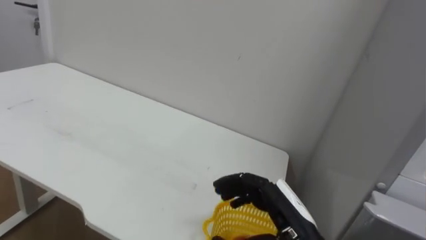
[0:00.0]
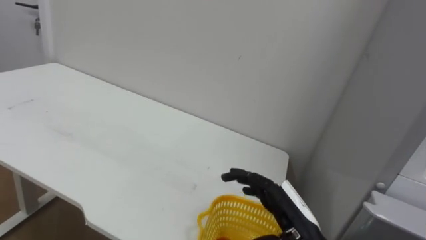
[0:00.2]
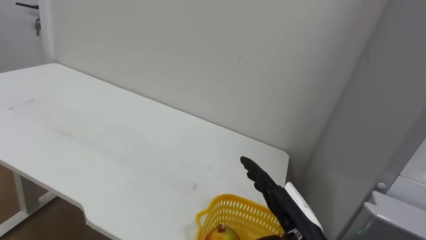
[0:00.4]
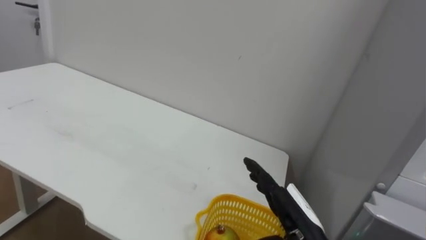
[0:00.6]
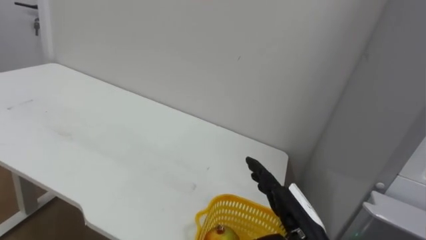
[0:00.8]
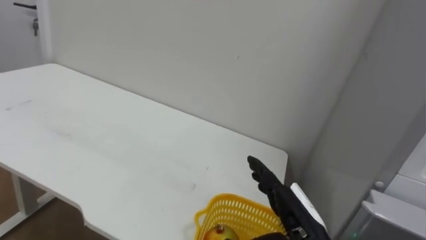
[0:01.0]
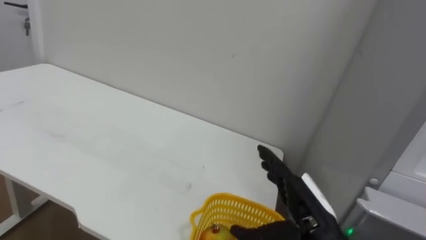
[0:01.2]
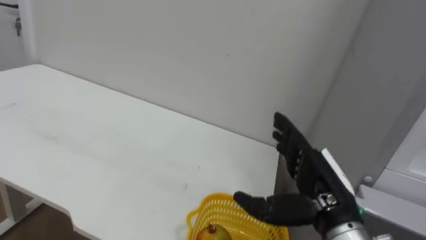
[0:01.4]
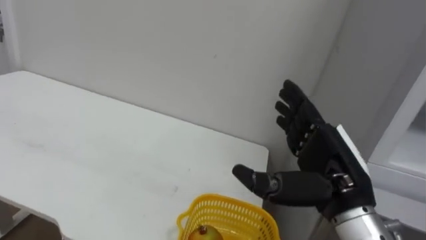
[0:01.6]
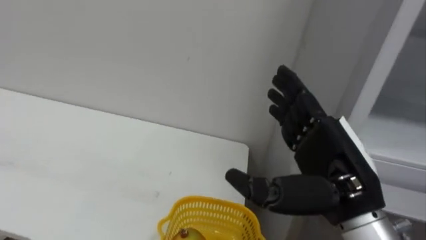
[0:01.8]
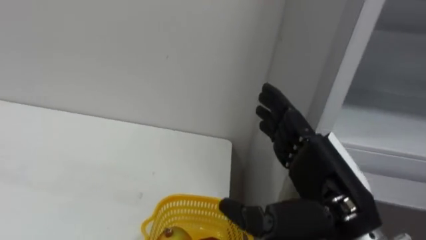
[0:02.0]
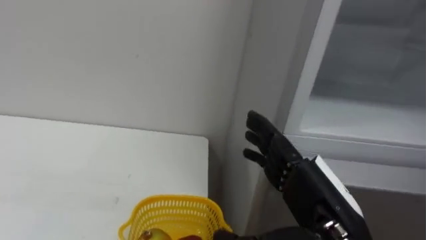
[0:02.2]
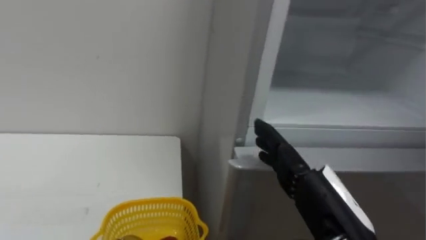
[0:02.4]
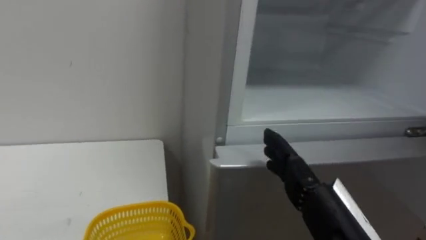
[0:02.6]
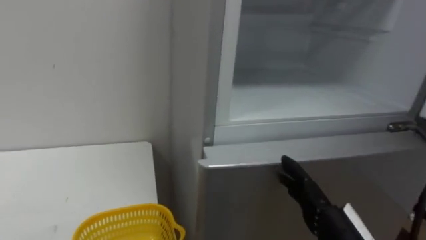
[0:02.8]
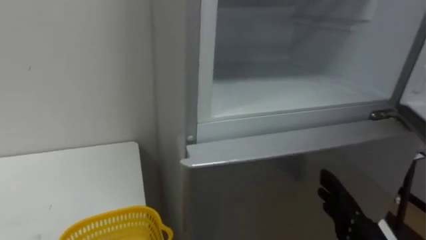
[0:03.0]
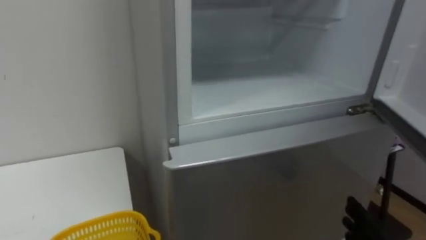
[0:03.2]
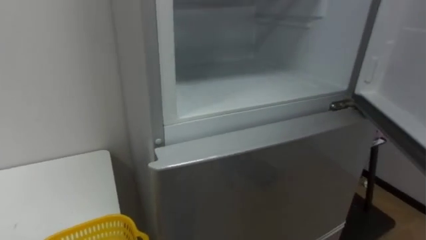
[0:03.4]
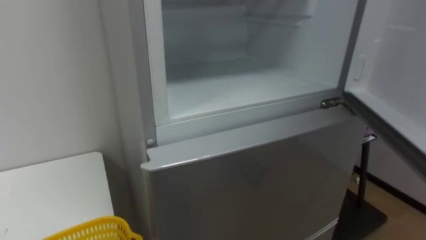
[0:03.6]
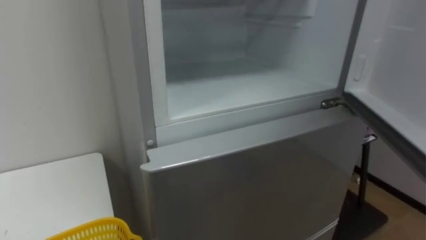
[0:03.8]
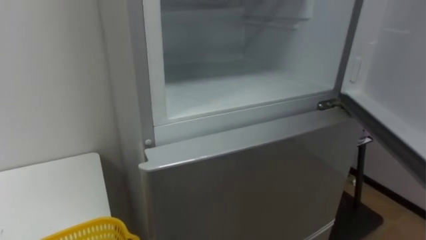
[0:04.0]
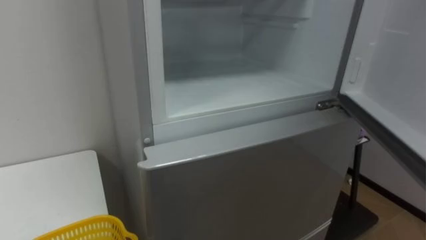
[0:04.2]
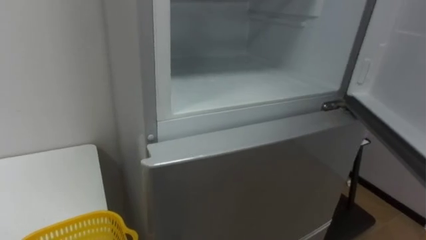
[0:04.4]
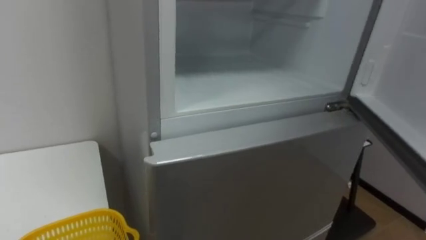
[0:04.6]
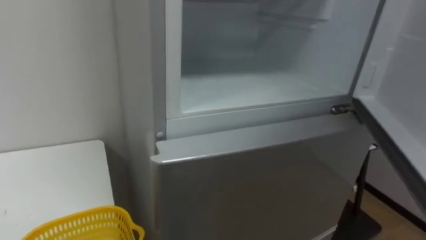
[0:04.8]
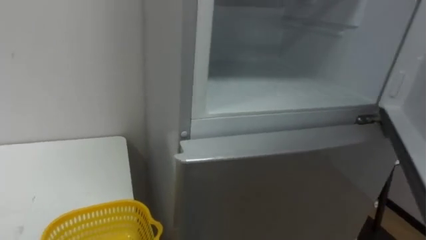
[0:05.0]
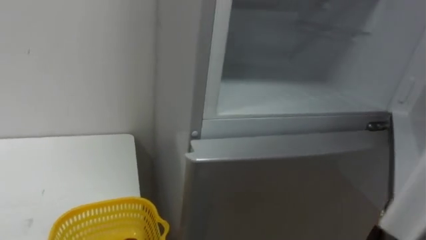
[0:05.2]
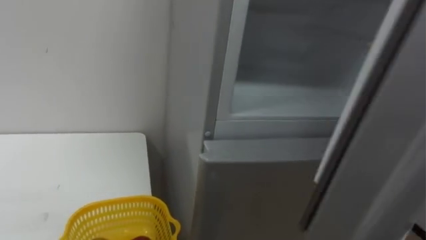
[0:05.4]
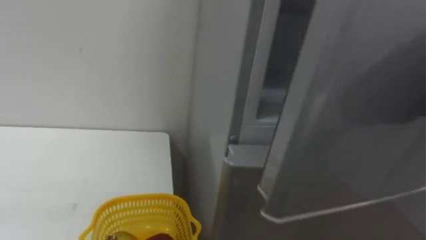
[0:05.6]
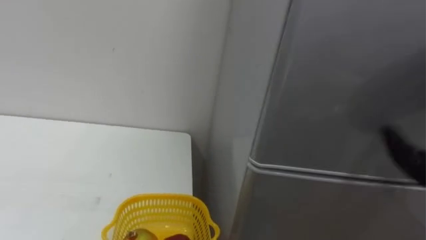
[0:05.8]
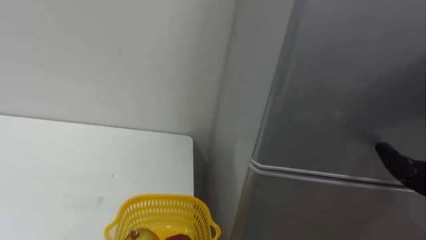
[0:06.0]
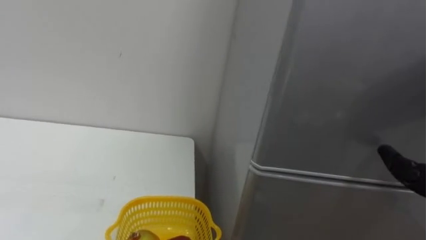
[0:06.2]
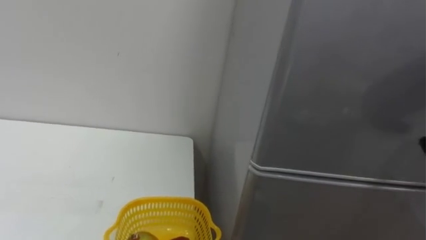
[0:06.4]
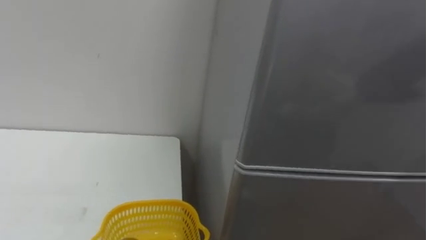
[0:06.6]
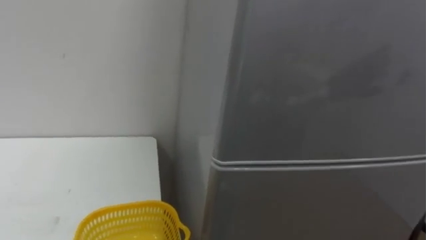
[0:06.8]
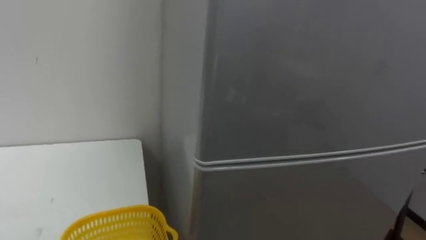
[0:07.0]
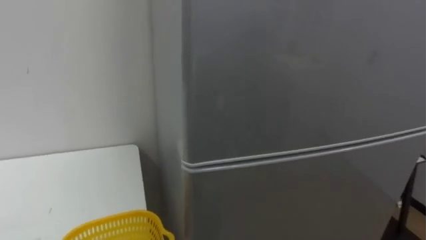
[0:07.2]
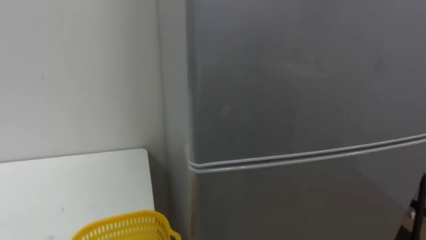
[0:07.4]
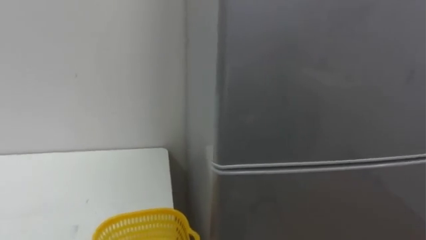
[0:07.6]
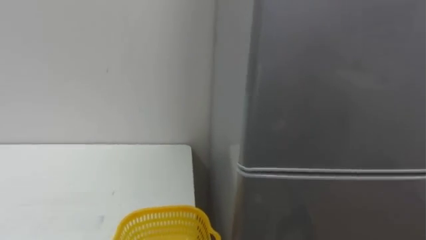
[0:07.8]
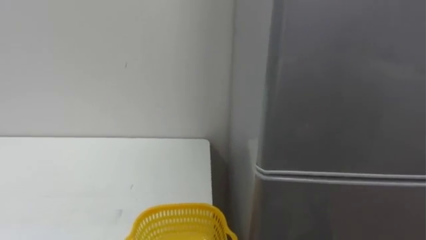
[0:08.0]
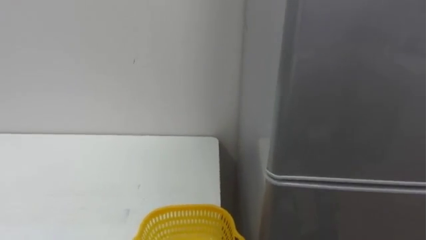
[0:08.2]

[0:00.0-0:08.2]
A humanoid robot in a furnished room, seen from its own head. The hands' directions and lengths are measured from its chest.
Task of the whole recording: Open the refrigerator door, take out the apple and the pomegranate, place them in the fruit basket on the left, and close the refrigerator door.
0:00.0 to 0:01.6: The right hand moves upward, roughly 10 cm, and opens.

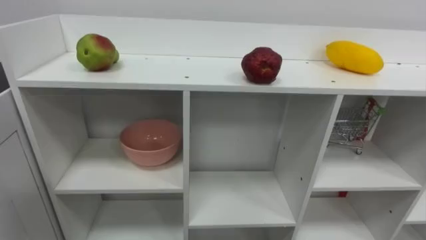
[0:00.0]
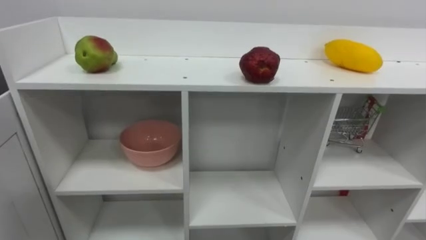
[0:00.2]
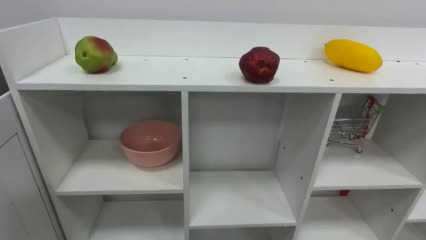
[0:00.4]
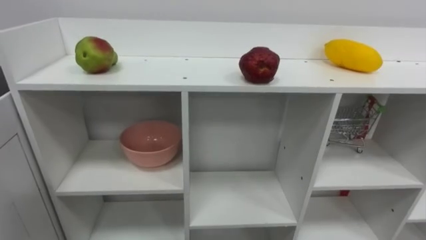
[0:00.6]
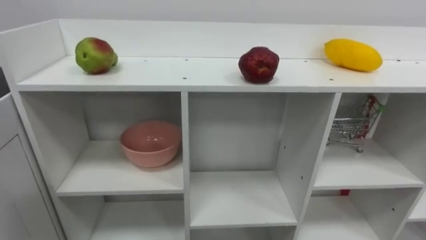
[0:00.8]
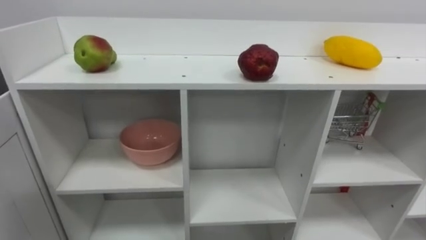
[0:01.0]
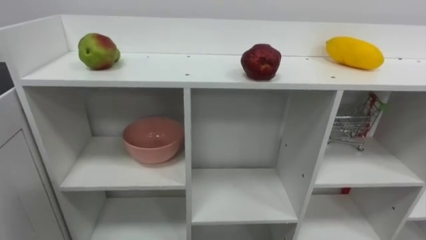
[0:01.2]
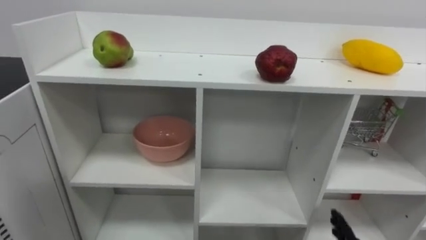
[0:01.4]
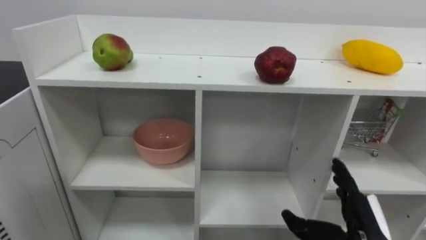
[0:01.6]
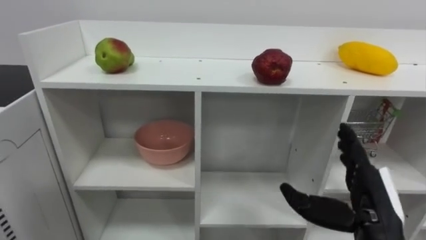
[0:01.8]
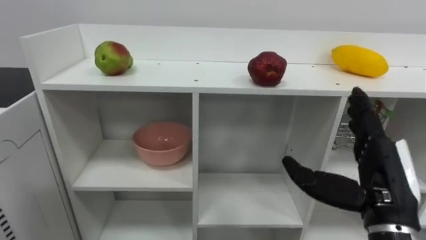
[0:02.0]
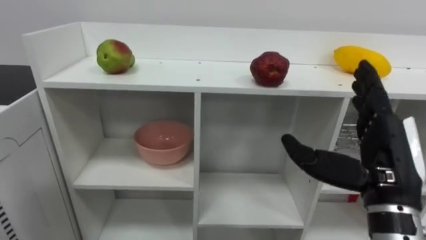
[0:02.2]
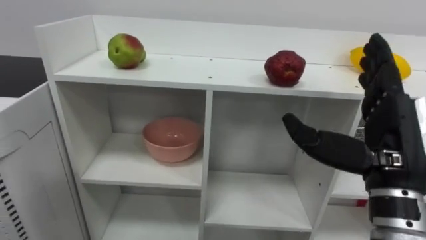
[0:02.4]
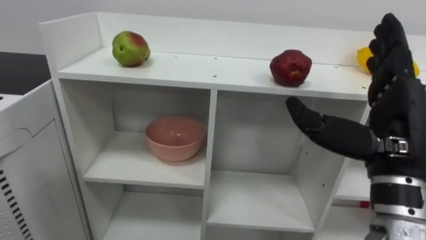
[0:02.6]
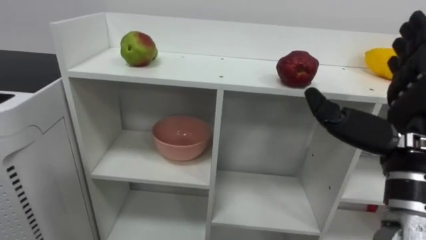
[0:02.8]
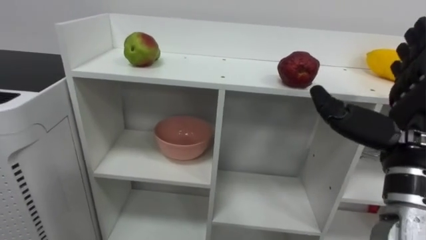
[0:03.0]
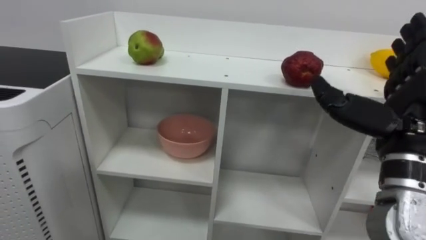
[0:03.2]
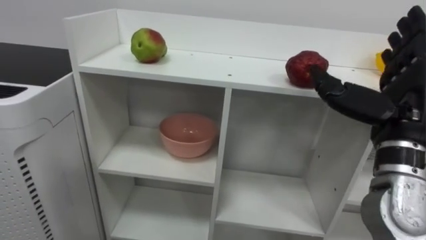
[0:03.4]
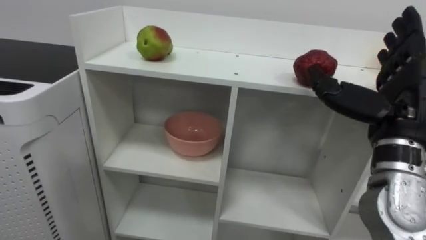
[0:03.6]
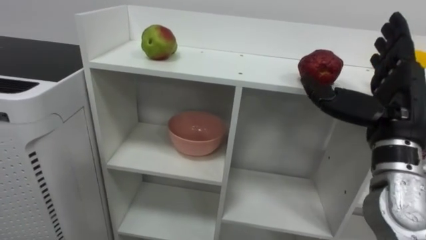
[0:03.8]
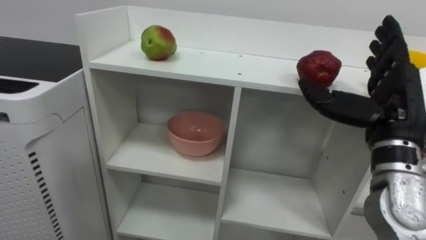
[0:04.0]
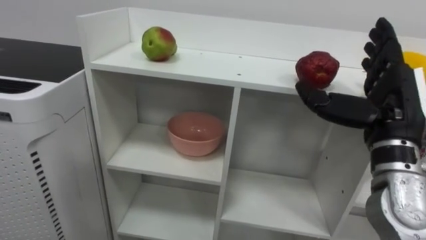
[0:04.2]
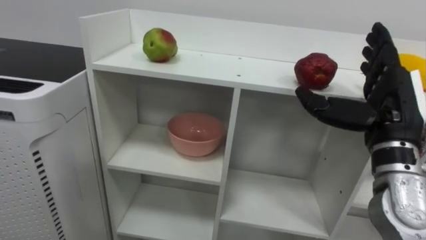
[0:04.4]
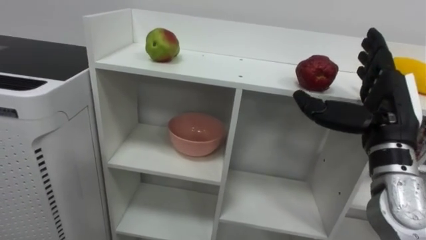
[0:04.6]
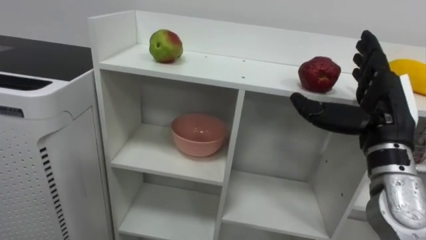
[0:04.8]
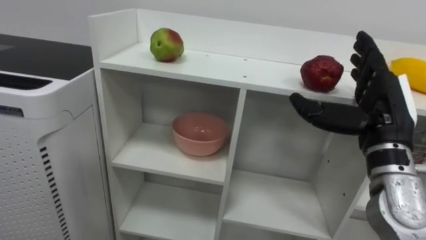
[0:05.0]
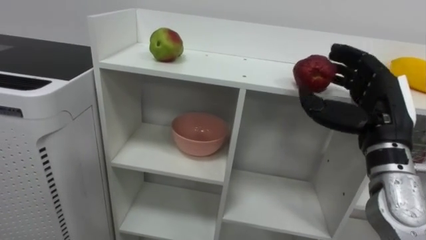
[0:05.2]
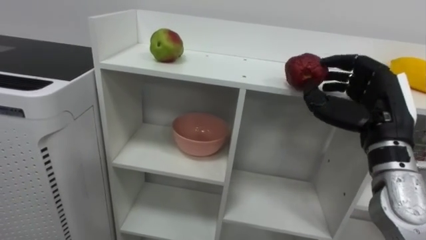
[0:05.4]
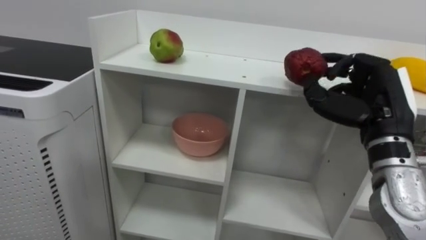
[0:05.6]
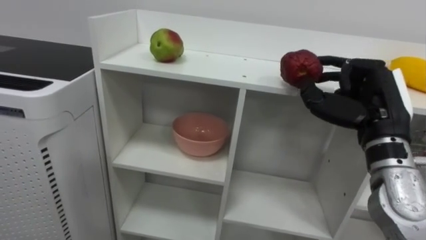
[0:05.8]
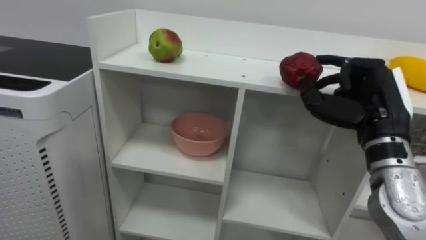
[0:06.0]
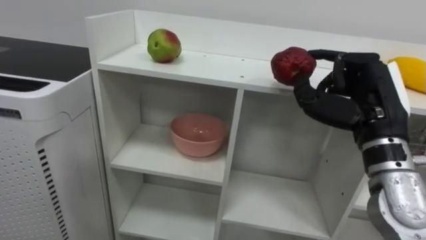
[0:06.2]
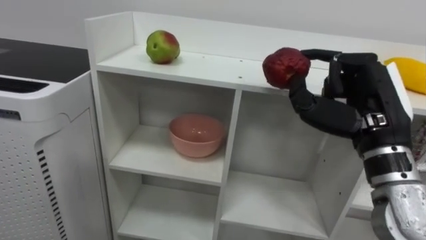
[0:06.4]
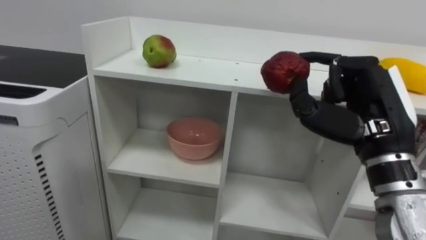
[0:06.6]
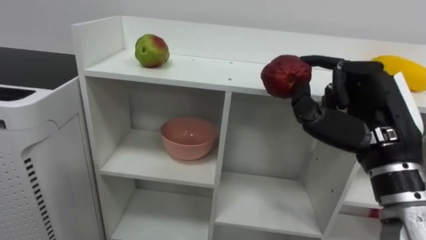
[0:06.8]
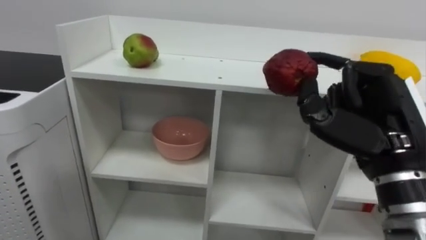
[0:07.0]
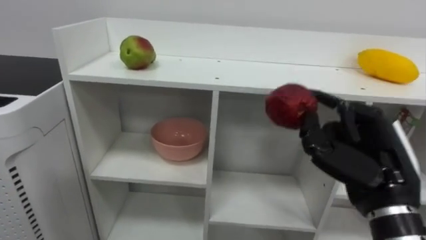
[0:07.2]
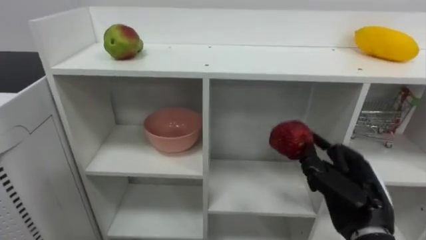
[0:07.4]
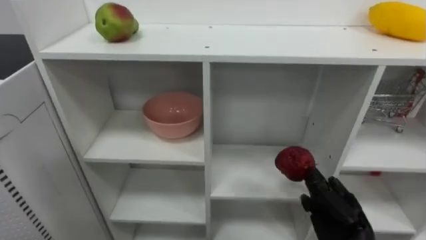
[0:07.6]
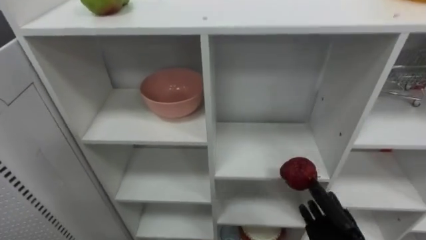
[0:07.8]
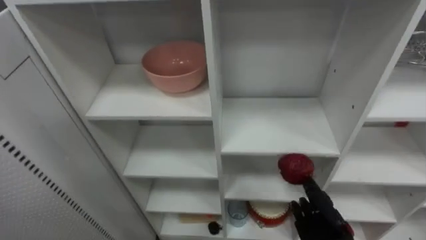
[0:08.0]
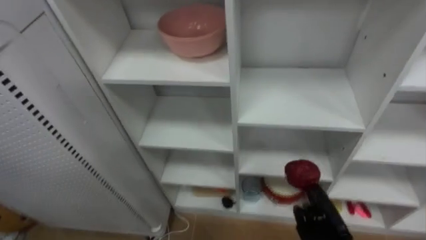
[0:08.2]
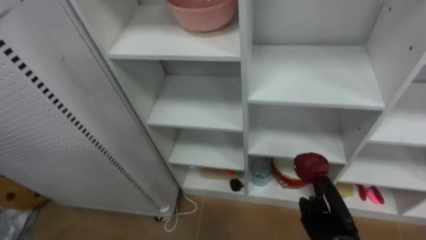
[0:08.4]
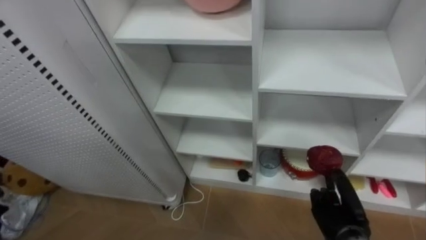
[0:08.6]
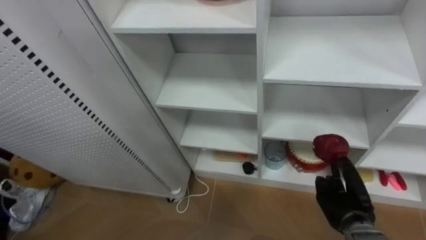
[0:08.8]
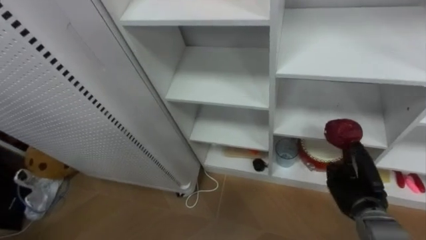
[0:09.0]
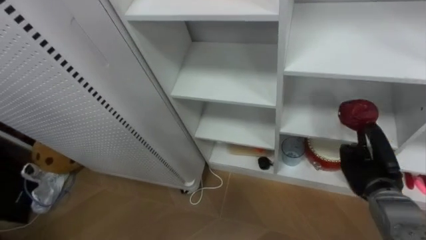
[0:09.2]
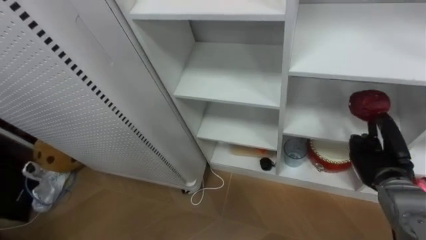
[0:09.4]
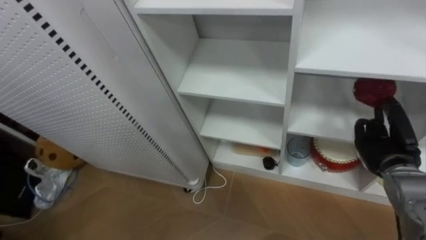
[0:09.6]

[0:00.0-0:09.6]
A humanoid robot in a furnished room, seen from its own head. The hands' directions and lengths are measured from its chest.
Task of the whole recording: Put the apple in the cell in the second column from the left and the second row from the top.
0:01.6 to 0:03.2: The right hand goes about 20 cm upward.
0:04.8 to 0:06.4: The right hand closes.
0:06.4 to 0:08.0: The right hand travels downward by roughly 25 cm.
0:08.0 to 0:09.6: The right hand is displaced upward, to the right and forward by roughly 20 cm.
